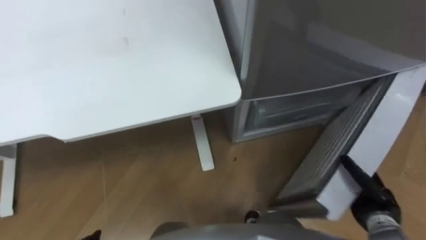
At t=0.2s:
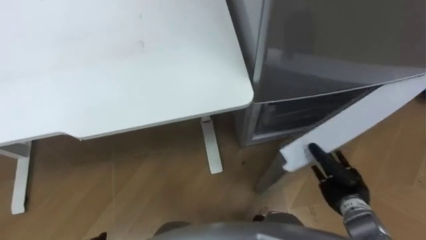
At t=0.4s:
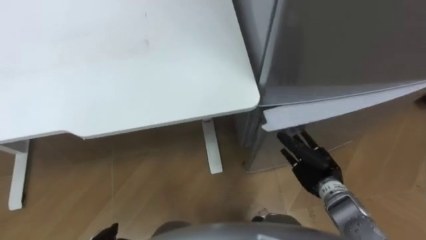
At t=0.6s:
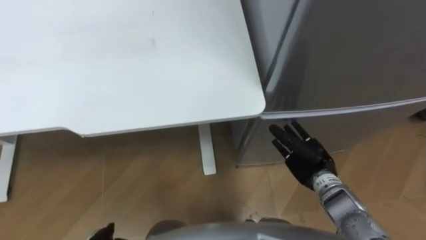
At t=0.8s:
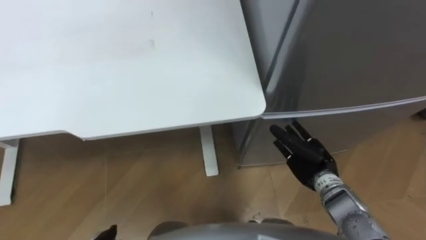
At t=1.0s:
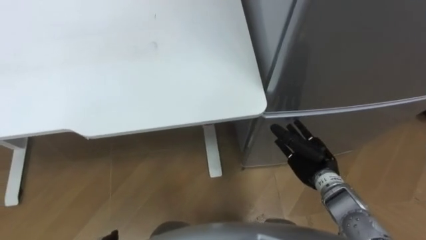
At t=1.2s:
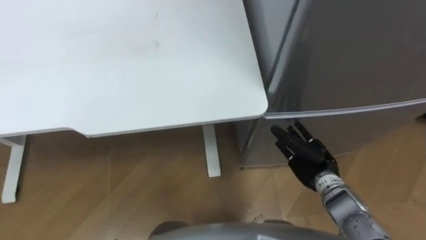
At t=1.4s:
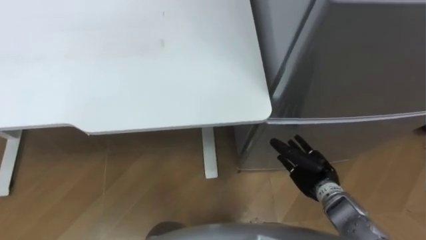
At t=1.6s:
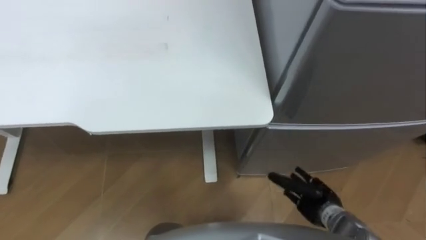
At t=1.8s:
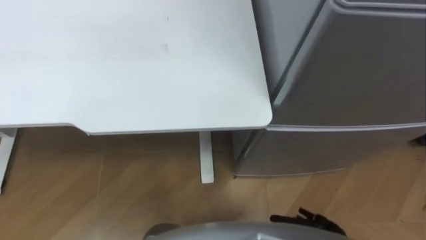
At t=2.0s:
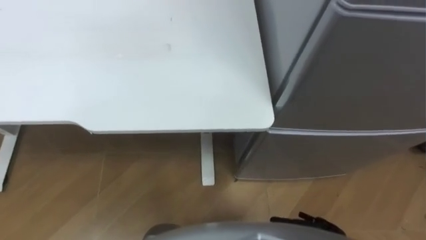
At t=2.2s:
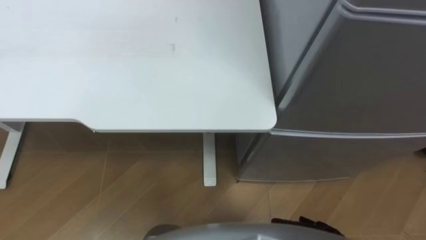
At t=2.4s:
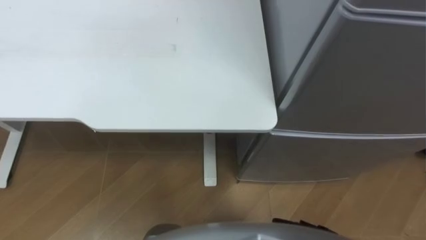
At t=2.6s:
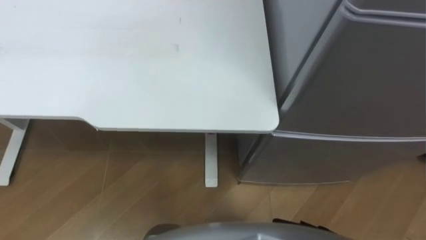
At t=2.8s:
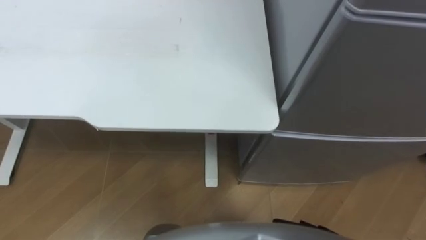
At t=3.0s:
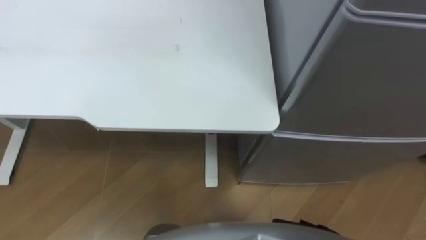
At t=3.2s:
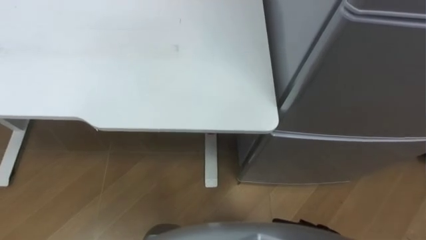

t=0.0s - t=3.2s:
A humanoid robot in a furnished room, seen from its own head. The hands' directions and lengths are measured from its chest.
Task of the whole recording: Place the drink on the table on the bottom shelf of the refrigerator, then close the drawer and the refrigerator door.
t=0.0s - t=1.6s: The right hand heads to the left, covering approximately 15 cm.

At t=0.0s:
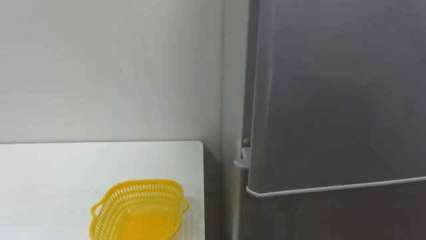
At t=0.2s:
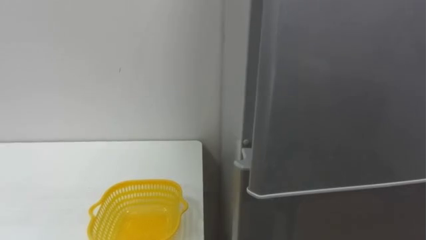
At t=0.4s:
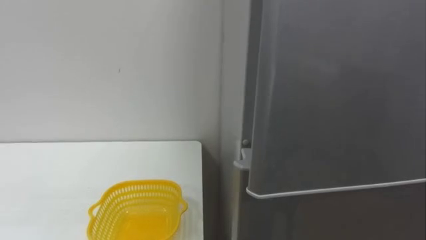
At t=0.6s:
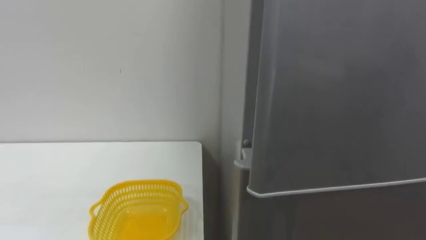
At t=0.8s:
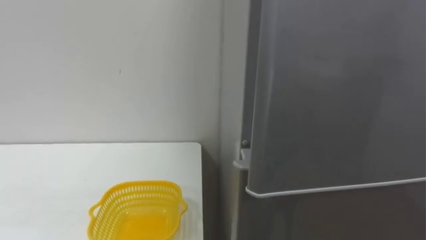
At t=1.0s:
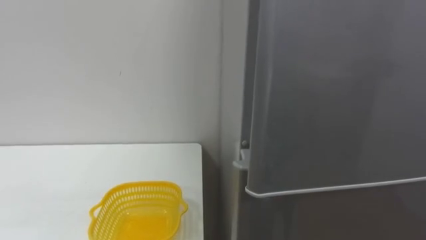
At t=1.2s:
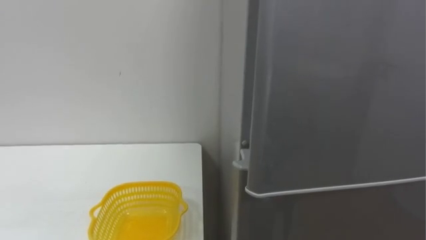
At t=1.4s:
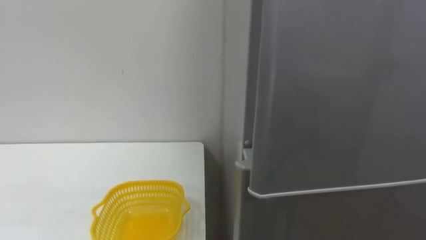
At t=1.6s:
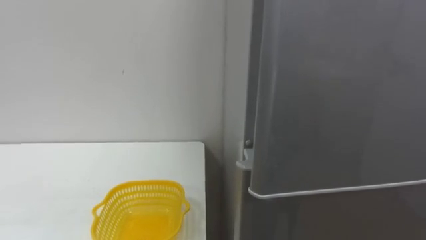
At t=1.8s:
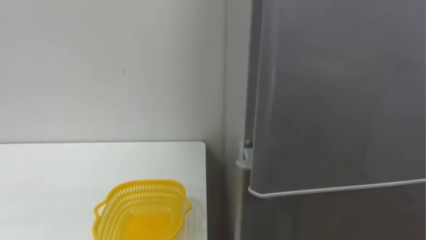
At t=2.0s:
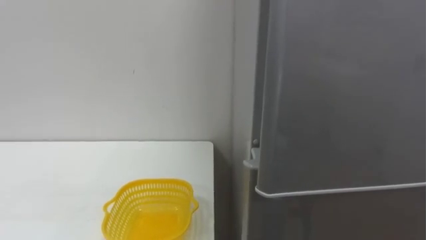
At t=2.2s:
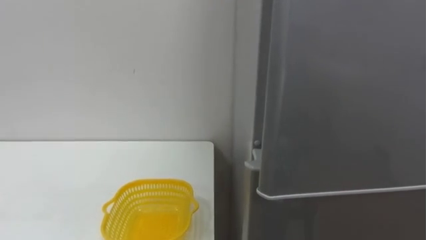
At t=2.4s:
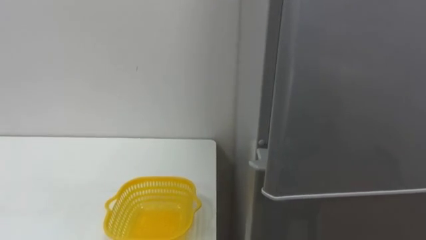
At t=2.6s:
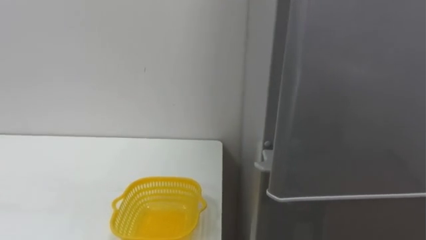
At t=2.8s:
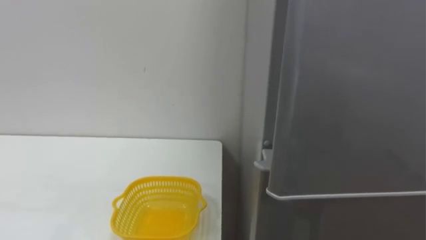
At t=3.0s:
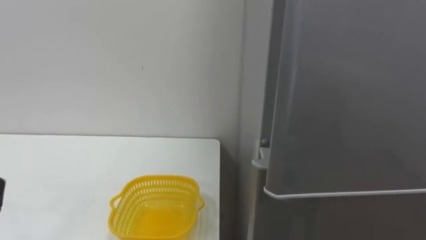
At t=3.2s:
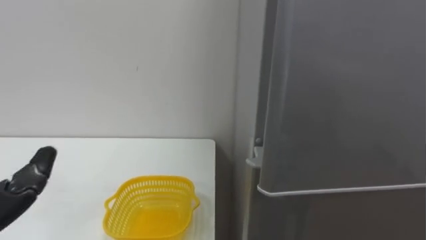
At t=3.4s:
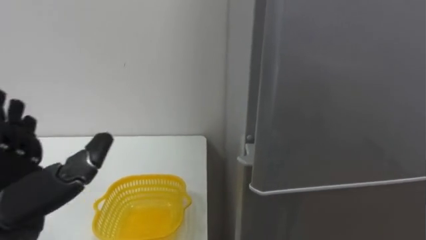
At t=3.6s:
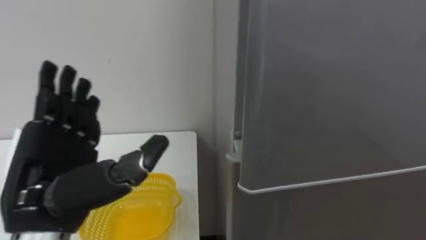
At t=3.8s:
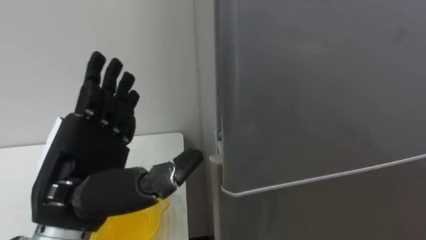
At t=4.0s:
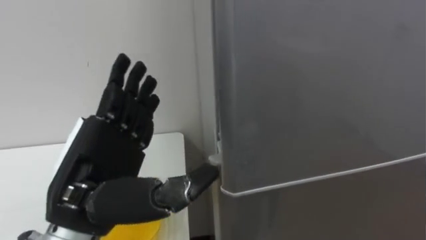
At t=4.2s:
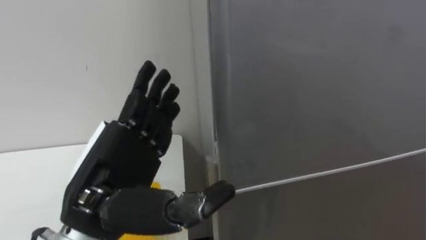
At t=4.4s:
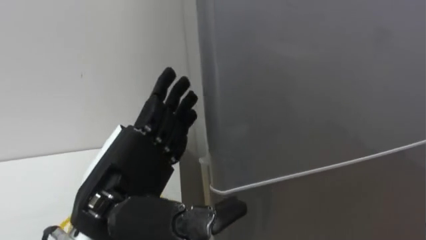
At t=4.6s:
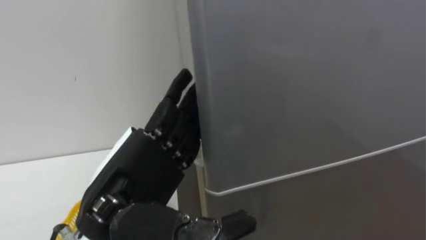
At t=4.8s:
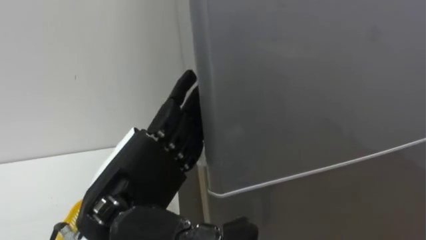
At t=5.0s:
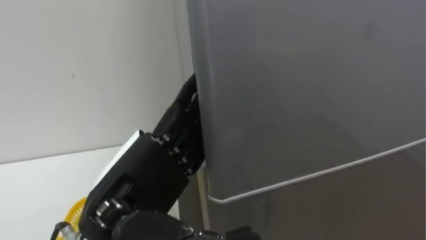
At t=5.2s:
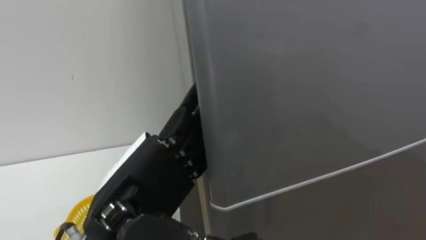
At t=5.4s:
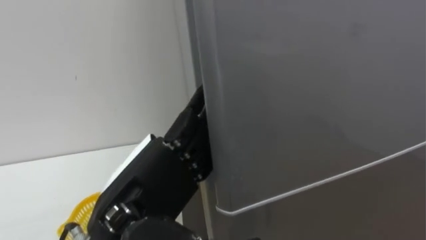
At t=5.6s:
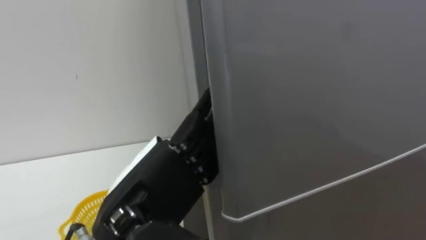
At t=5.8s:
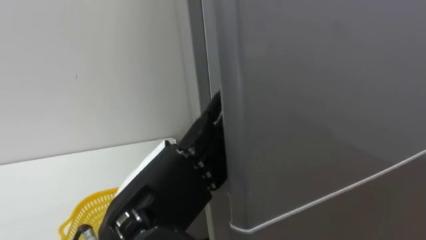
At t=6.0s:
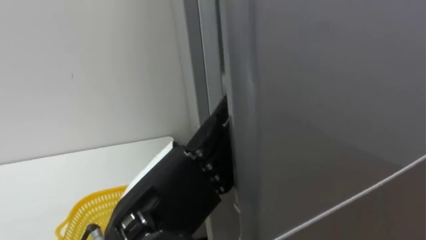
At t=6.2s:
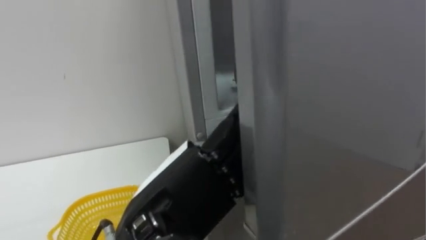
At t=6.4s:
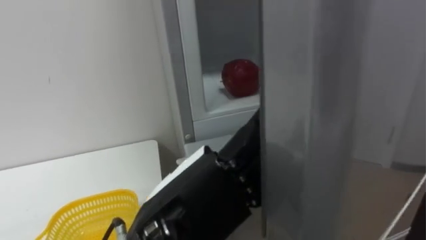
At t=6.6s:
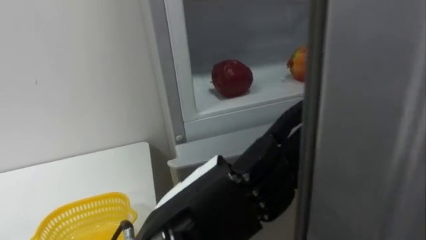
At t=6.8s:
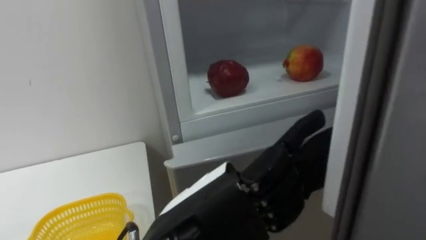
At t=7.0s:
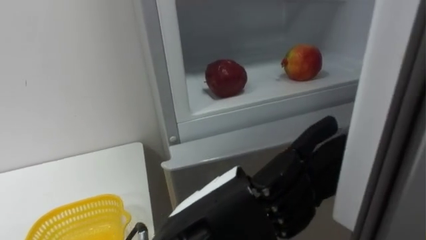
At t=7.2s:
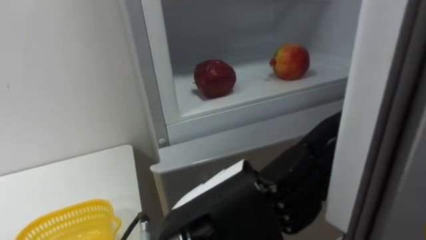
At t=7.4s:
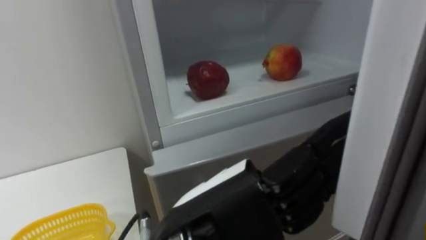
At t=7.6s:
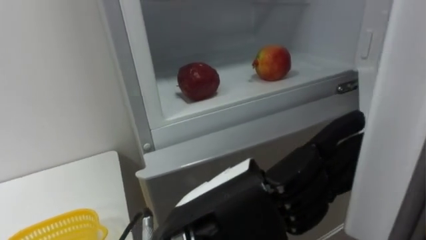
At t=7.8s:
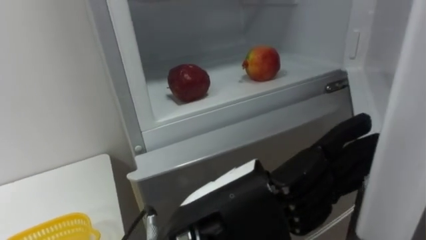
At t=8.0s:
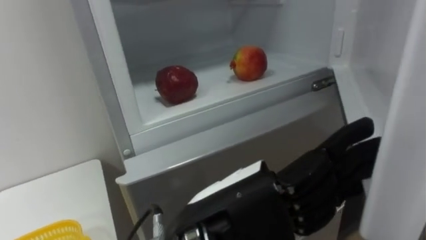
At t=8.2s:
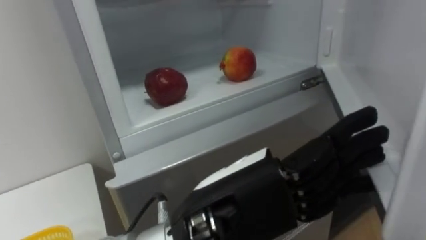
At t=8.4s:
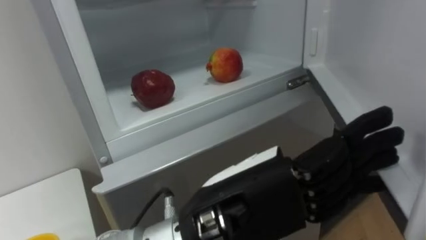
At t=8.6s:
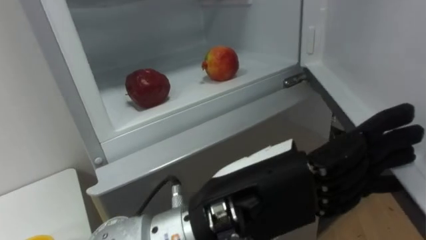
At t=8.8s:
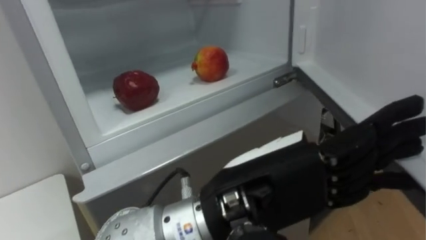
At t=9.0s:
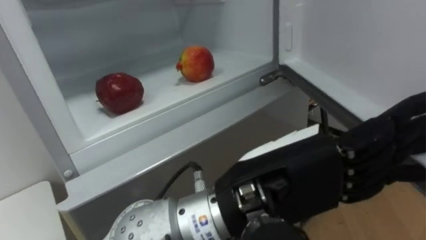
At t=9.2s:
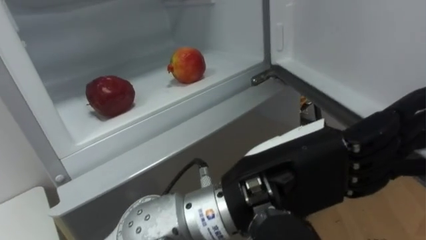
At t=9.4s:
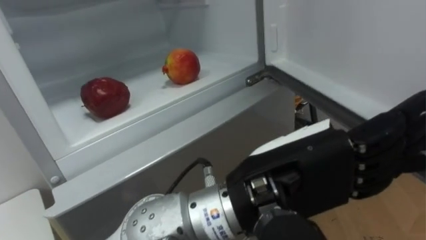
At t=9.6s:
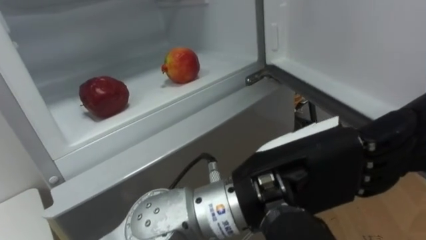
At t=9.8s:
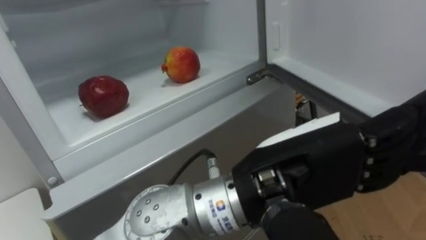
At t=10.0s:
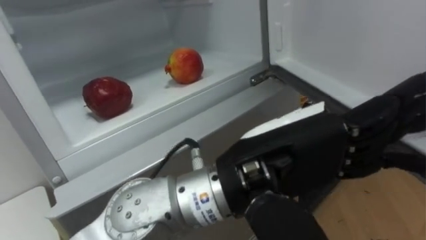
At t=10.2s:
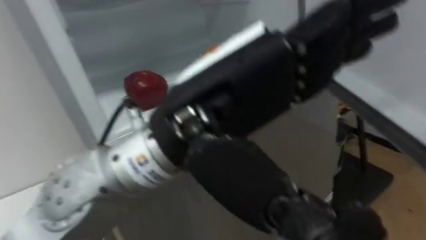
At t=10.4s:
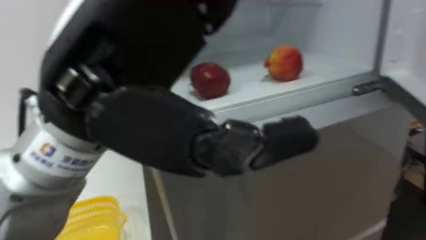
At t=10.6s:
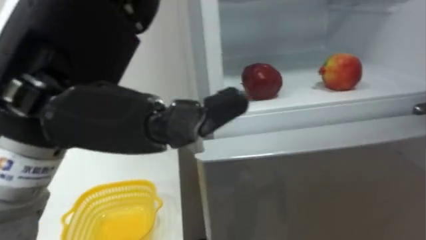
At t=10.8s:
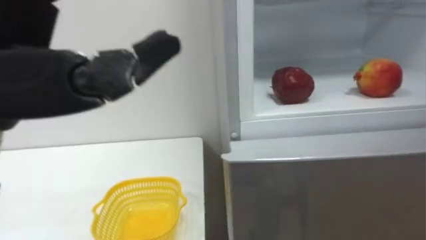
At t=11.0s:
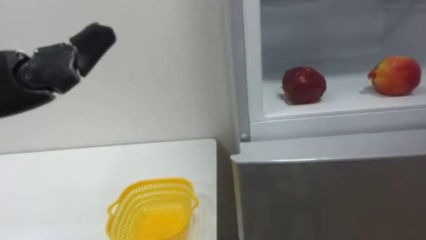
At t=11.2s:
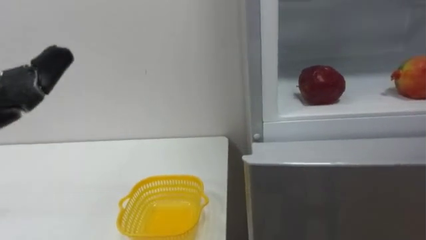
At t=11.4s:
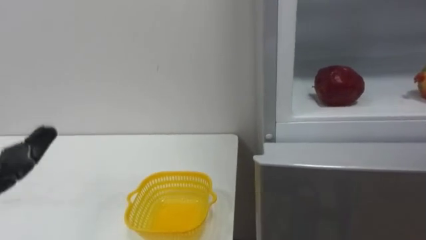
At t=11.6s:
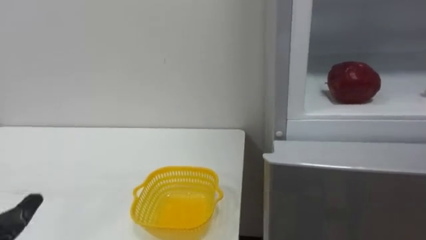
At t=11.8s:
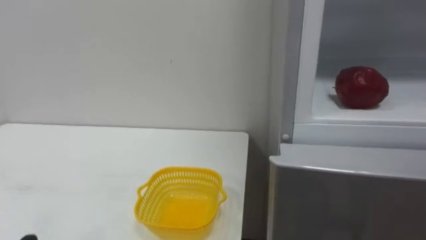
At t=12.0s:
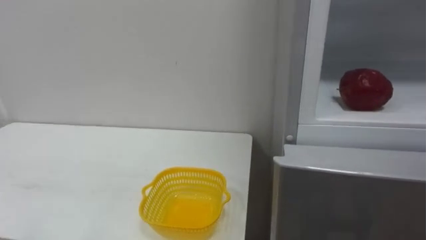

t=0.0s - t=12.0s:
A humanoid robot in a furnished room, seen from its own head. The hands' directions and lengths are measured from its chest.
Task of the whole recording: Open the refrigerator door, take out the apple and the pomegranate, place them in the fruit basket on the left, and close the refrigerator door.
t=4.4s - t=6.0s: The left hand changes place by some 5 cm.
t=6.0s - t=7.6s: The left hand travels to the right by approximately 5 cm.
t=7.6s - t=9.0s: The left hand travels to the right by roughly 5 cm.
t=9.0s - t=10.4s: The left hand travels to the left and upward by about 15 cm.

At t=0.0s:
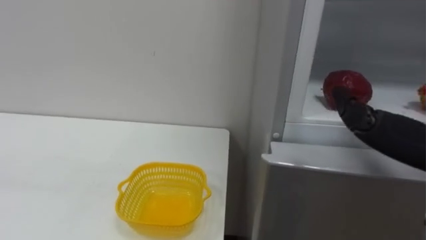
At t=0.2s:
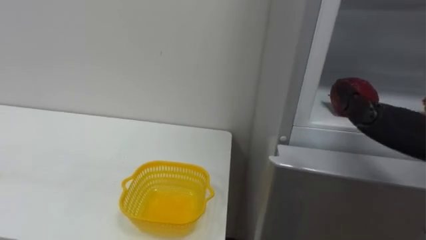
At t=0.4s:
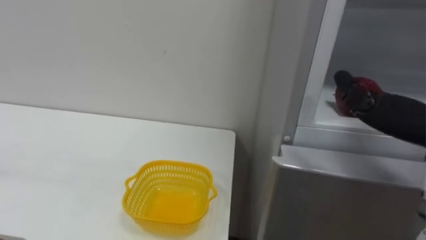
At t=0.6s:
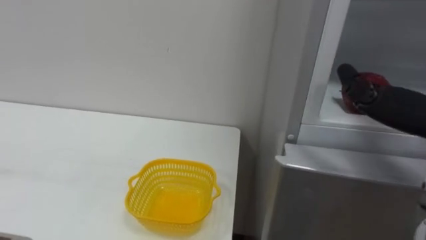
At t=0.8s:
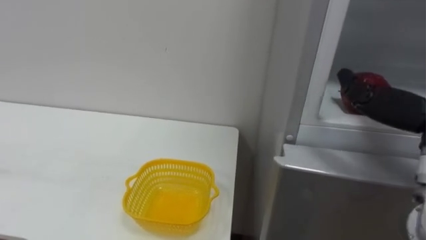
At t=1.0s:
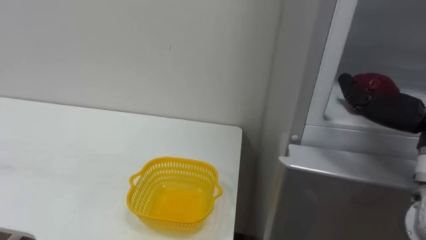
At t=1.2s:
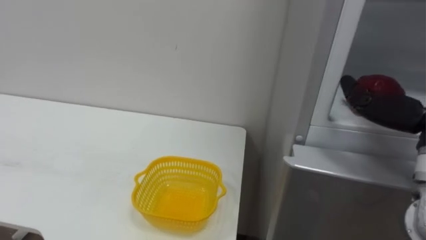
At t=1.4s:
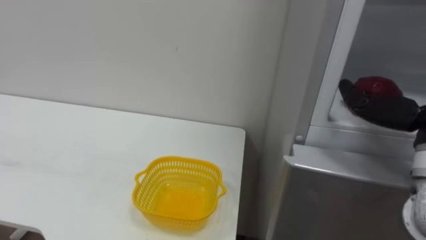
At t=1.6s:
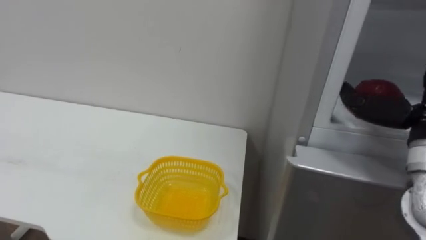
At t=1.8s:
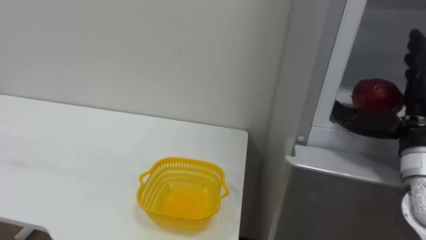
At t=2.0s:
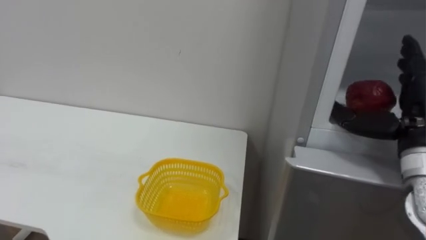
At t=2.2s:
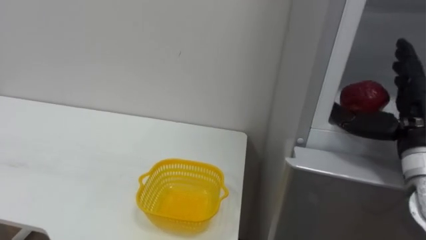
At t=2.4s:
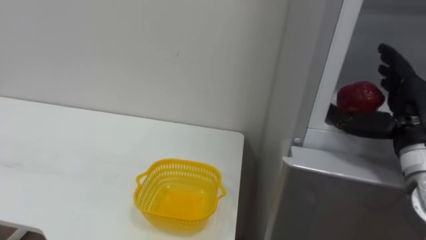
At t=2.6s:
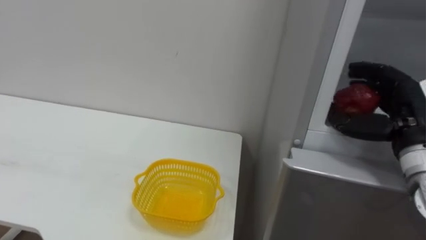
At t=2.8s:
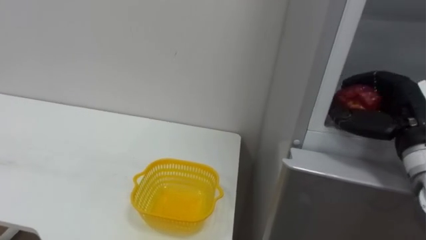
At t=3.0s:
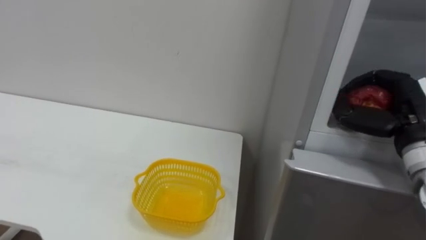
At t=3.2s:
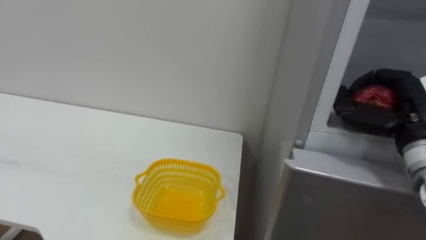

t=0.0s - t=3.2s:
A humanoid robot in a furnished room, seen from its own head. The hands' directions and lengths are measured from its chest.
Task of the whole recording: Open the refrigerator door, take out the apple and the pomegranate, place them in the fruit basket on the left, and close the refrigerator door.
t=1.6s - t=3.2s: The right hand changes place by approximately 5 cm, and closes up.
